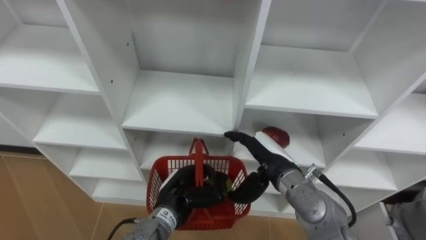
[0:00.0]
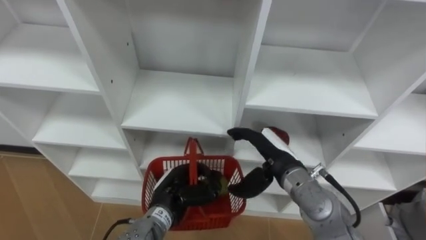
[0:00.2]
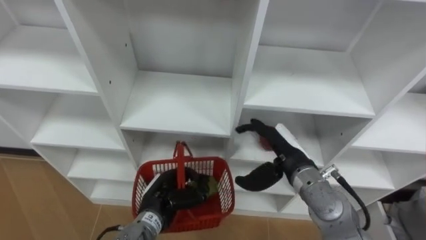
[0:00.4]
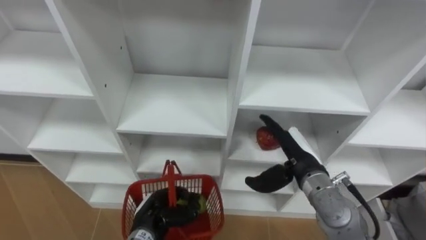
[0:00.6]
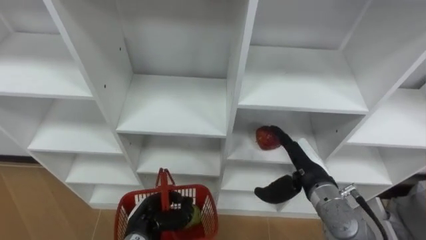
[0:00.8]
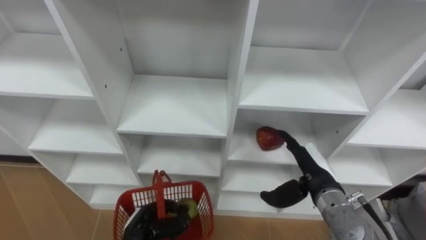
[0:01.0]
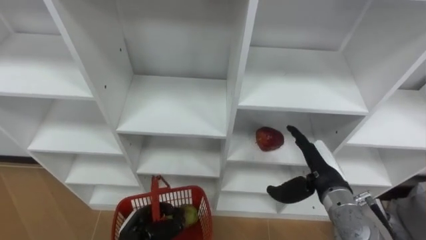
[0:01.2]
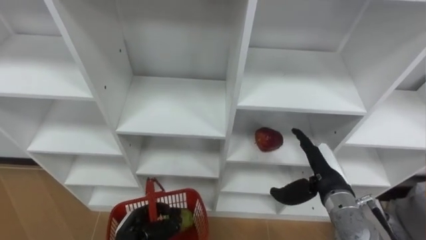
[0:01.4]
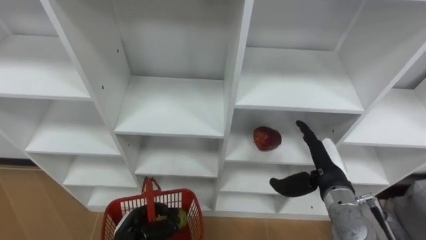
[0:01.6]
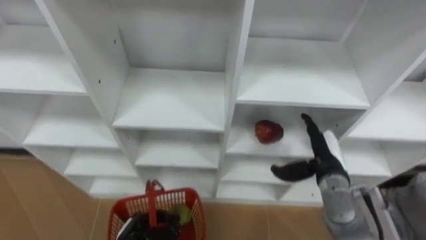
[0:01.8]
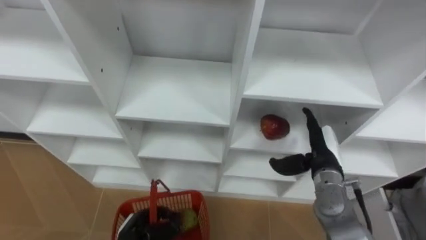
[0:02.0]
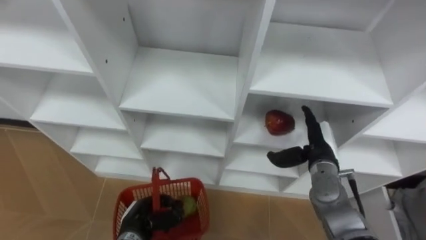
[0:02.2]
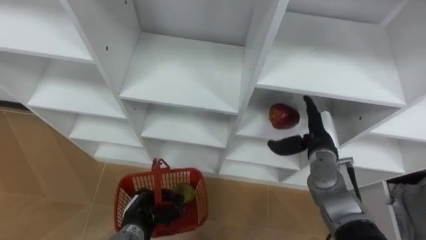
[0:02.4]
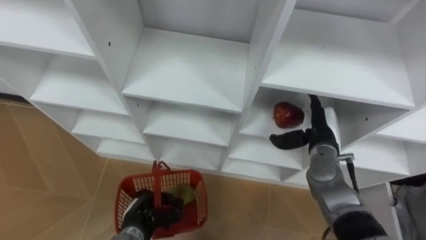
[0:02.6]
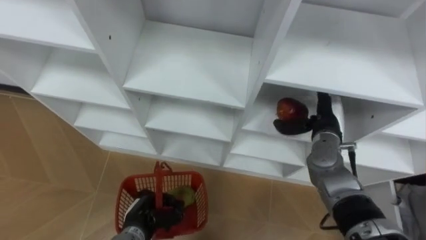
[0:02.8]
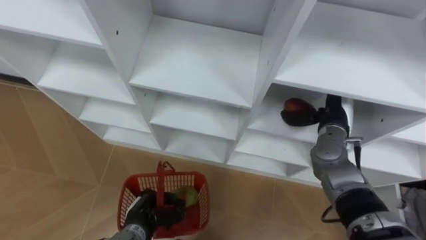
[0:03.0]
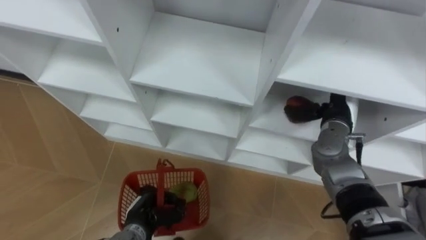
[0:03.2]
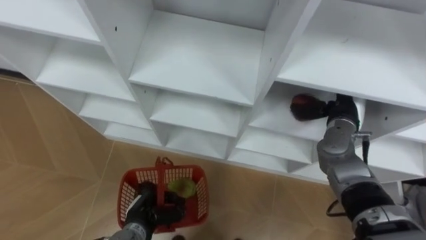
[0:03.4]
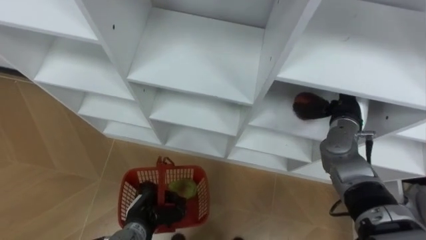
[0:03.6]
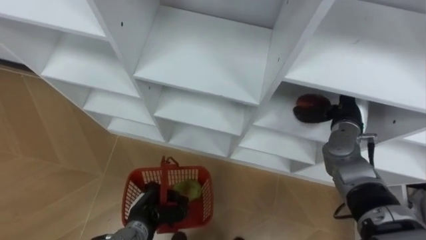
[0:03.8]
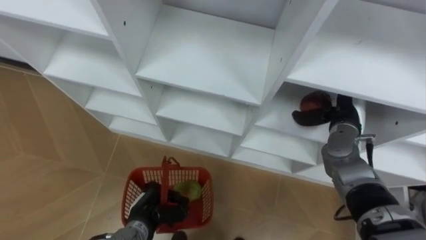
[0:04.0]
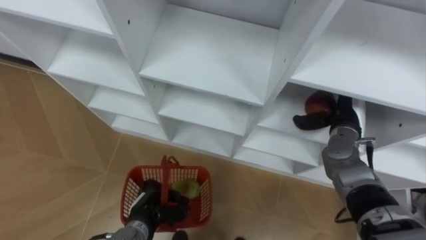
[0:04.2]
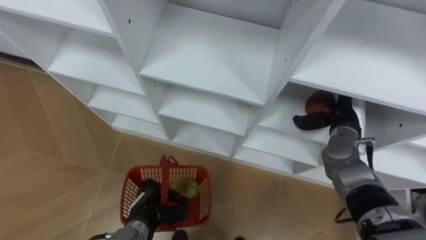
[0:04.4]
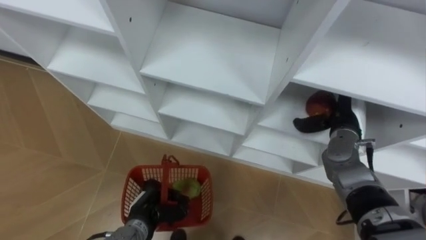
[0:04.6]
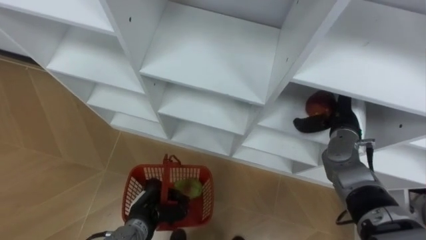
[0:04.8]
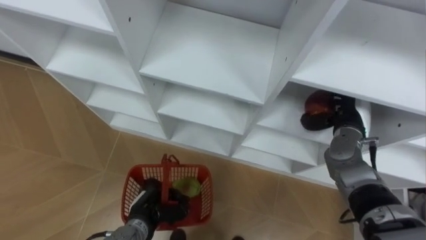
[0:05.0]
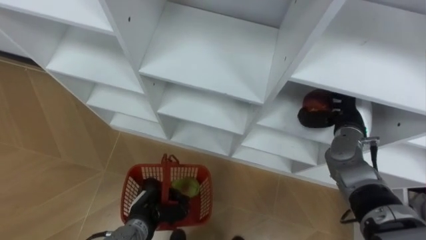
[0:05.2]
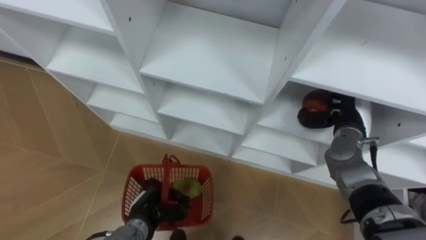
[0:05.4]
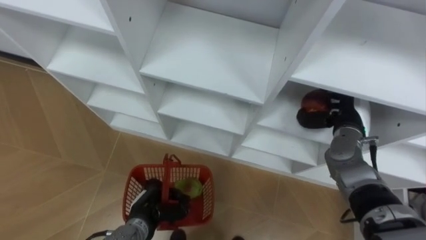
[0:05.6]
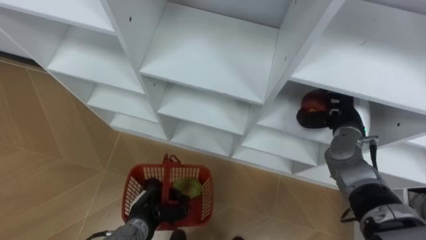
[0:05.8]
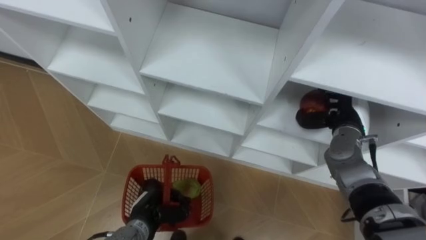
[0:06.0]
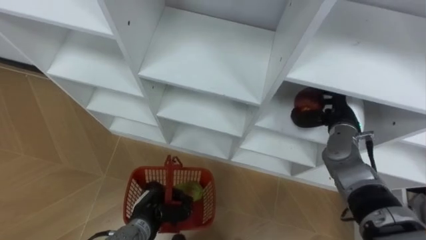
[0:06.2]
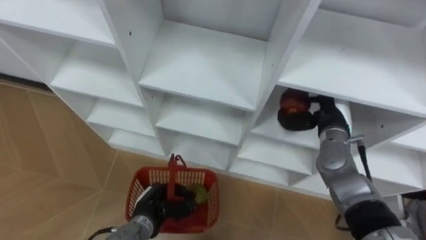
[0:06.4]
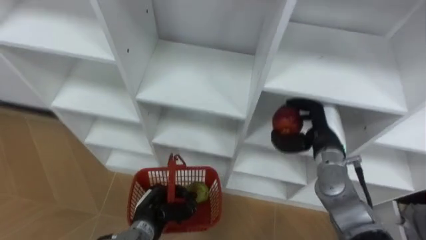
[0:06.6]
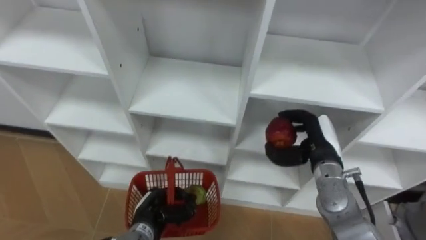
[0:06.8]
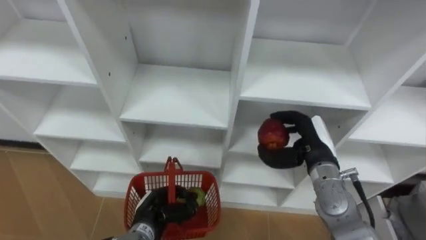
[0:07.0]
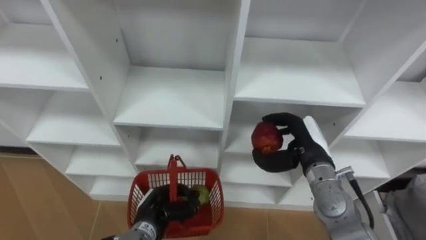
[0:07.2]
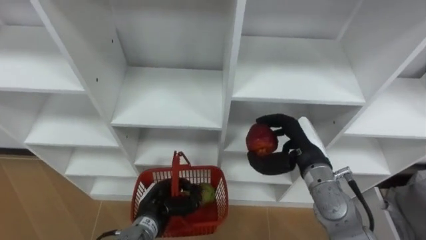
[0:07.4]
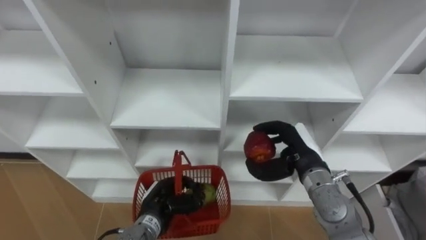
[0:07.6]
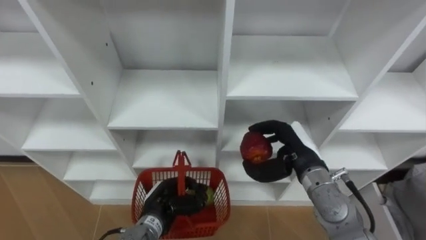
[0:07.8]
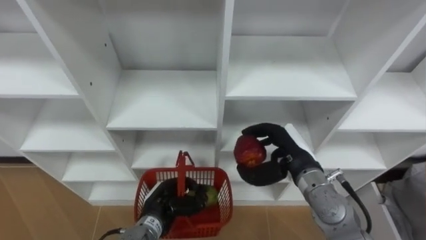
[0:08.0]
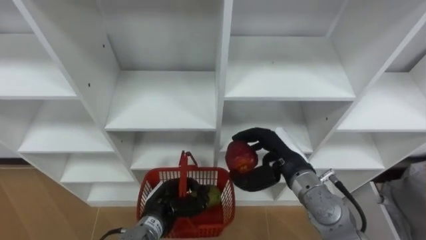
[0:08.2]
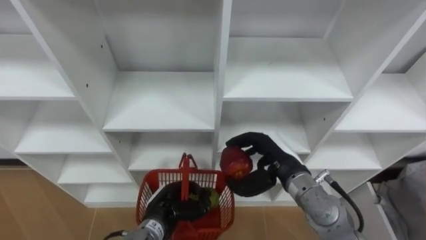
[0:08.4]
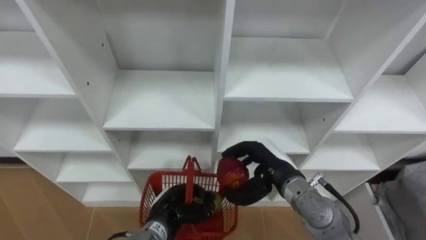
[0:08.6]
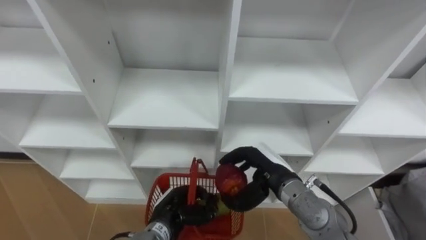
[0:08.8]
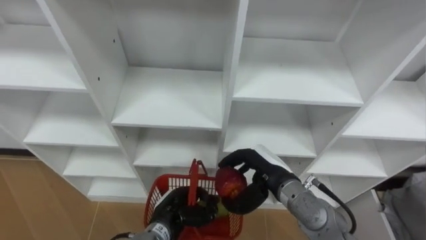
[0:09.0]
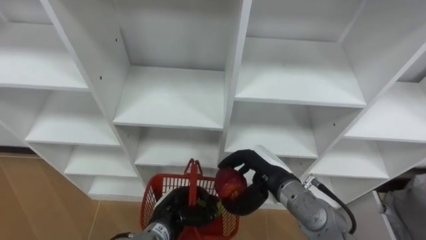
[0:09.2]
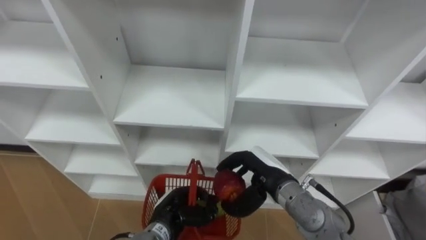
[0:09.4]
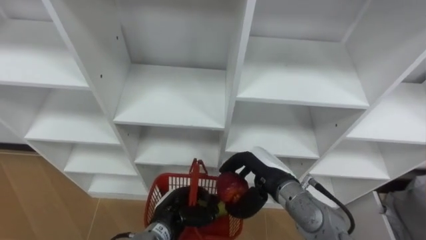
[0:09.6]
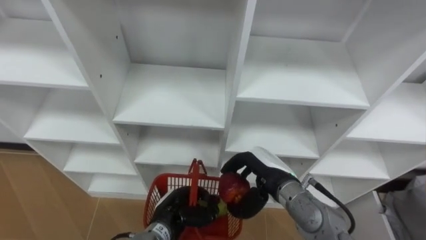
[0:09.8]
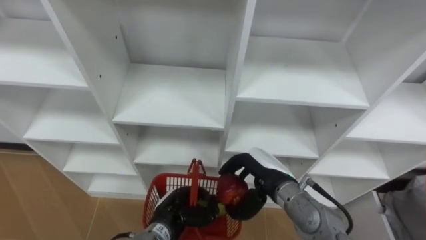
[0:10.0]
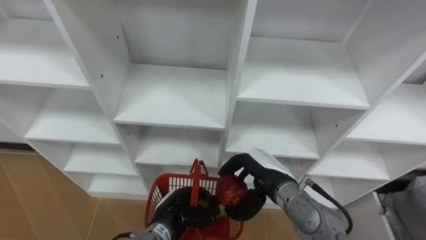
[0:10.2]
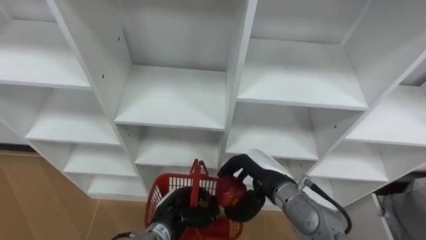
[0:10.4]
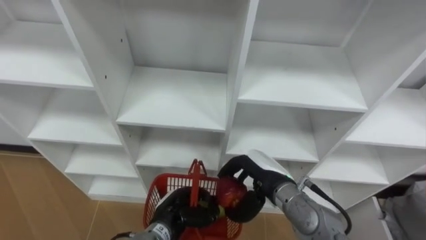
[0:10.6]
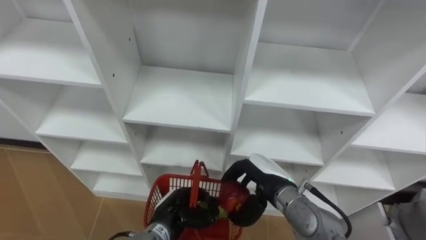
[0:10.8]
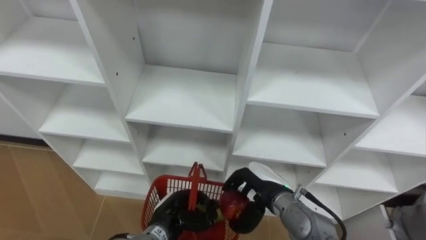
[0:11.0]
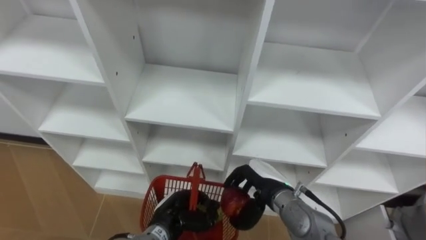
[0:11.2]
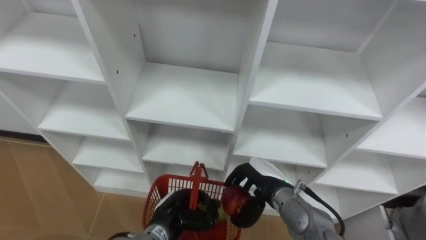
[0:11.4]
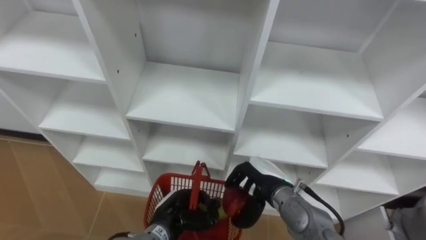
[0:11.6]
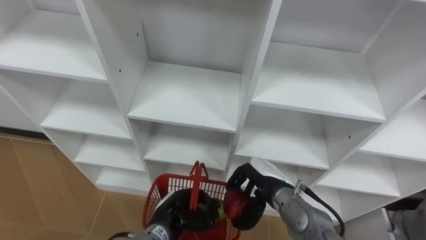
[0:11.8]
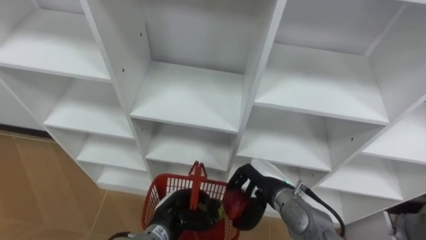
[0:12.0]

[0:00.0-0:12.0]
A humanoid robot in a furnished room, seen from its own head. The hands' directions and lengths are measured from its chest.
Task of the whole recording: Hold the basket and collect the fruits from 3 different cells of the closet into it.
0:00.0 to 0:01.6: The left hand heads to the left, downward and backward, covering some 15 cm, while the right hand shifts about 10 cm to the right.
0:01.6 to 0:03.0: The right hand heads forward, covering about 10 cm.
0:04.4 to 0:06.0: The right hand closes.
0:06.0 to 0:07.6: The right hand shifts some 10 cm to the left and backward.
0:07.6 to 0:09.0: The right hand shifts roughly 5 cm to the left.

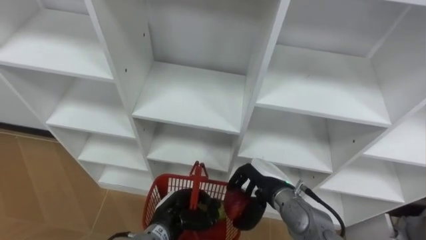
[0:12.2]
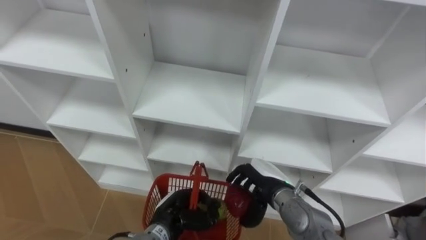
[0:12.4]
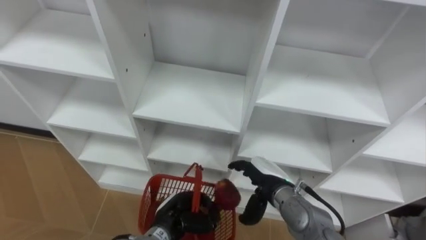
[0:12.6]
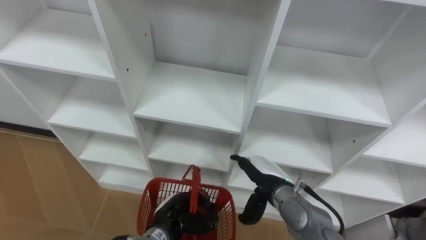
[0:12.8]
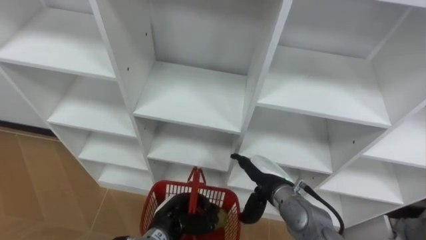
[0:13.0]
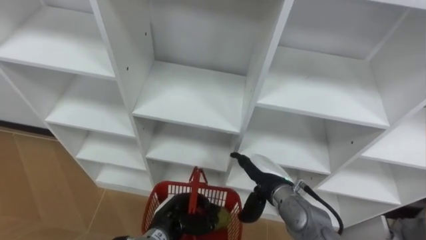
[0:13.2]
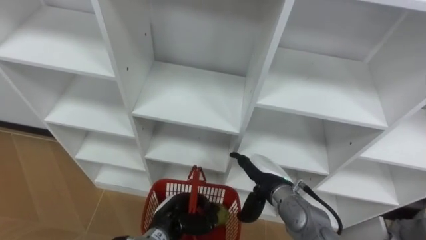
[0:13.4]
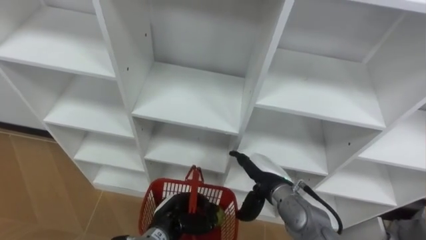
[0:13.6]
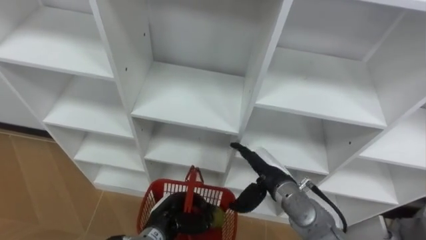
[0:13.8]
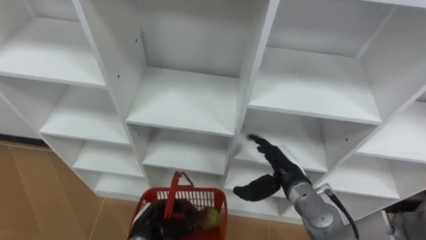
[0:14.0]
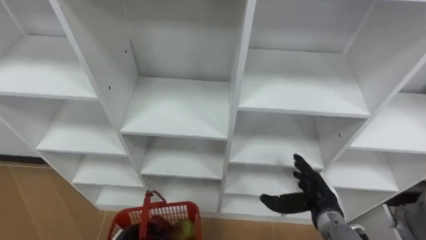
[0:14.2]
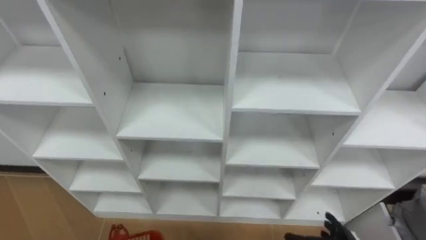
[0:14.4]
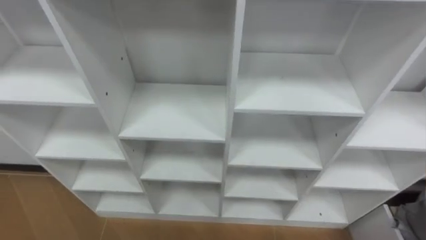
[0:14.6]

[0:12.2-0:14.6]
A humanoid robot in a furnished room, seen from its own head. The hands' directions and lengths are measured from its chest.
Task of the whole recording: Hold the basket and collect the fruits from 3 different cells of the closet into it.
0:12.2 to 0:13.4: The right hand opens its fingers.

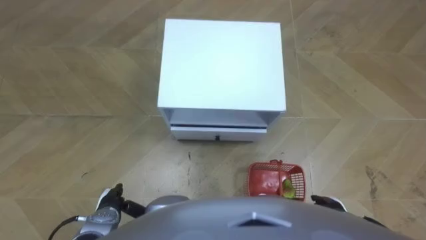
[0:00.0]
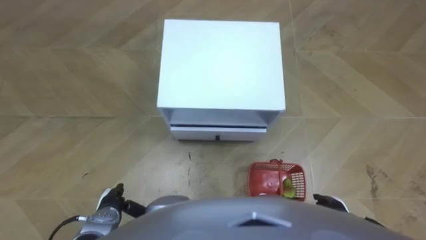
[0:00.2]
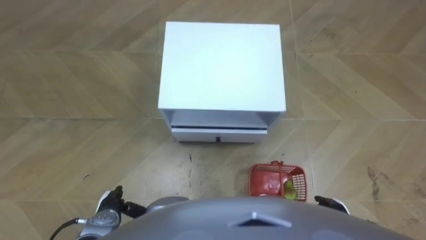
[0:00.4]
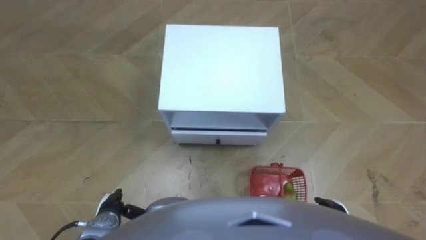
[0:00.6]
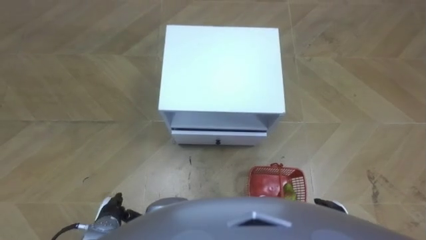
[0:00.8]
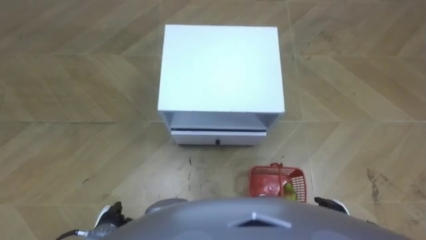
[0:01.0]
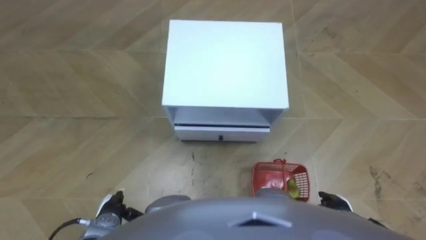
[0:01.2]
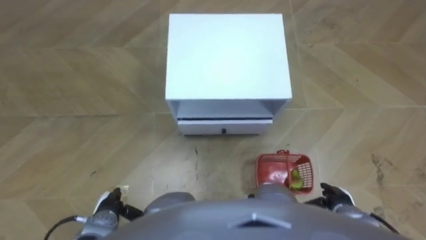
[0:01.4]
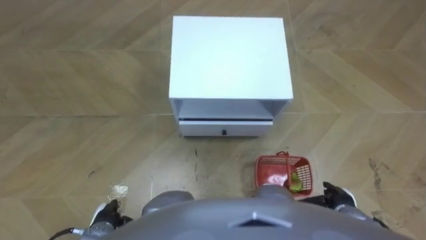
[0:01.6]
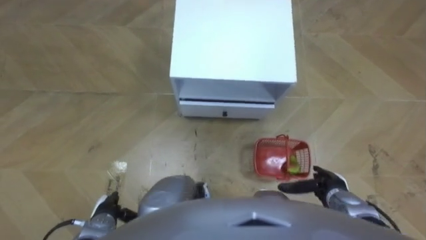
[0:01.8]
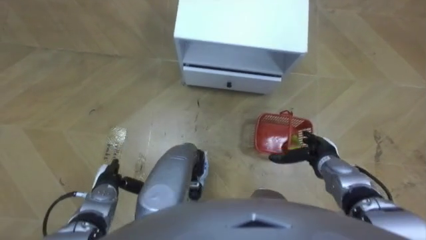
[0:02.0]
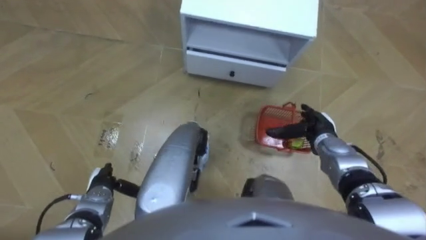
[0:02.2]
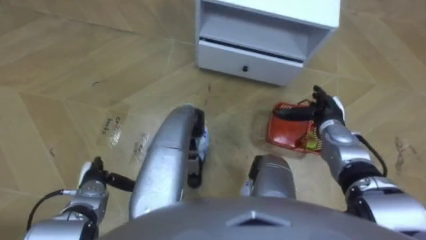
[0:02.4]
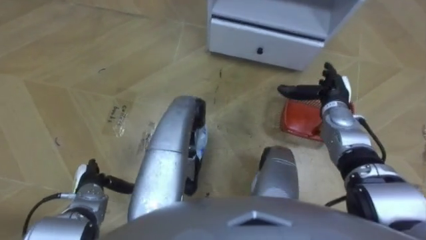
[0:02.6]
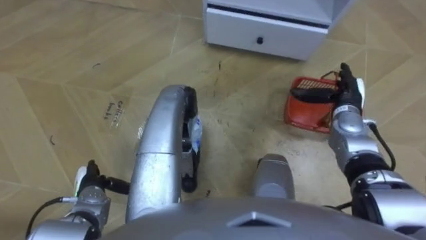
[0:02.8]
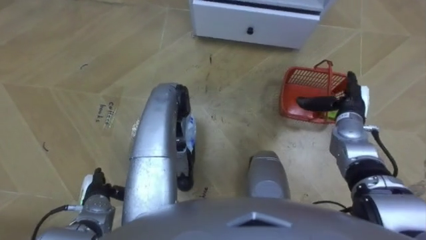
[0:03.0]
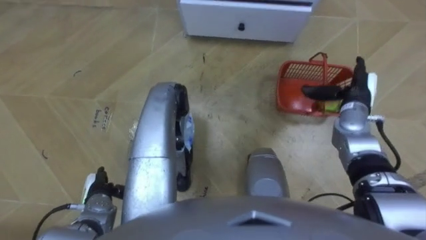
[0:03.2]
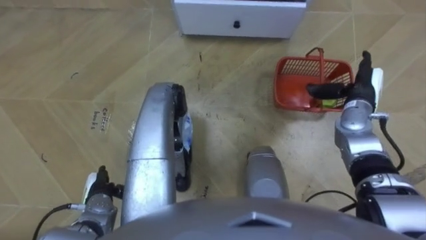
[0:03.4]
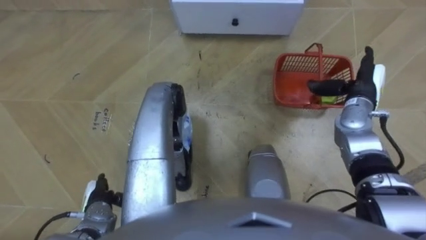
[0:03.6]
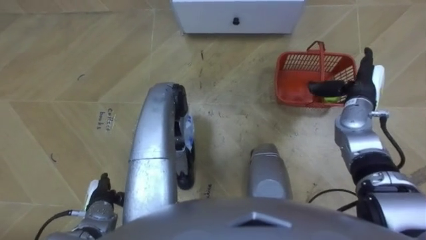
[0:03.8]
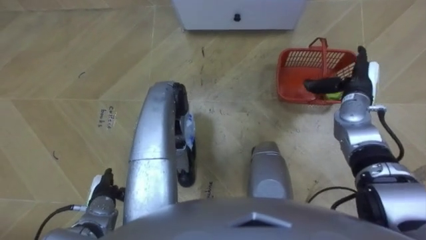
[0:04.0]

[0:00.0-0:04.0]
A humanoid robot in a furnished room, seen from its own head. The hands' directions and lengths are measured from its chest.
Task of the whole recording: Pick up the fruit basket from the floor and place it on the cabinet.
0:01.4 to 0:02.6: The left hand heads forward, covering approximately 5 cm. Meanwhile the right hand shifts approximately 25 cm forward and upward.
0:02.6 to 0:04.0: The right hand moves approximately 5 cm.
